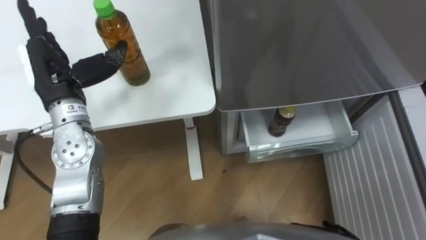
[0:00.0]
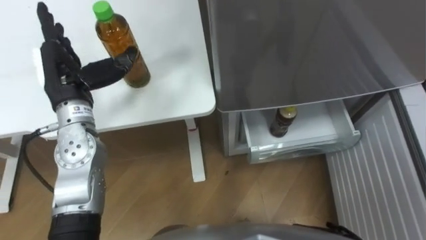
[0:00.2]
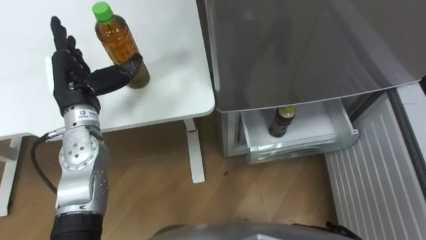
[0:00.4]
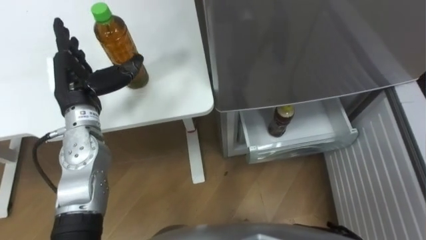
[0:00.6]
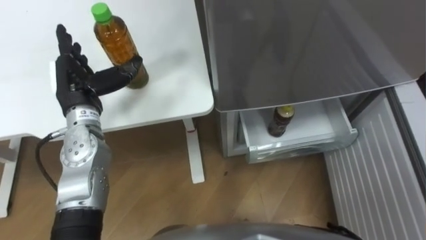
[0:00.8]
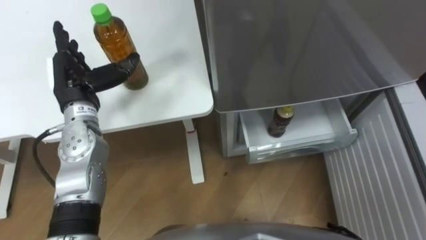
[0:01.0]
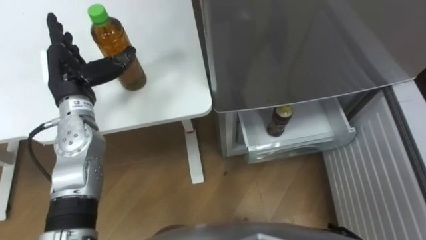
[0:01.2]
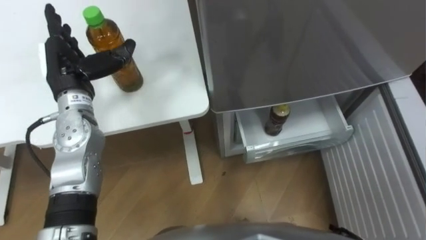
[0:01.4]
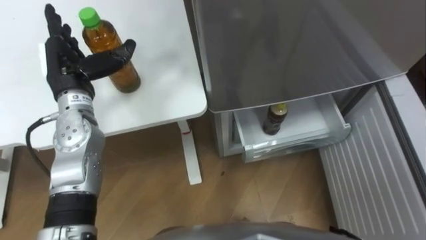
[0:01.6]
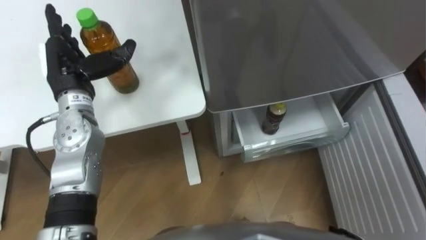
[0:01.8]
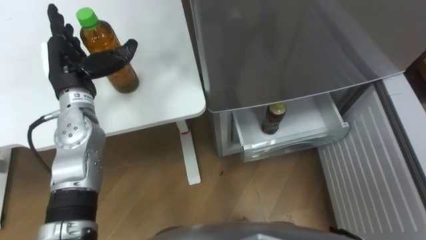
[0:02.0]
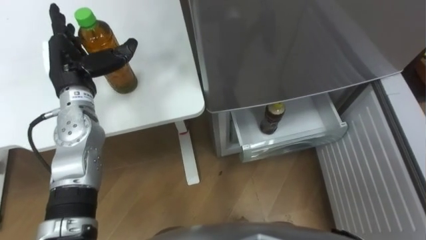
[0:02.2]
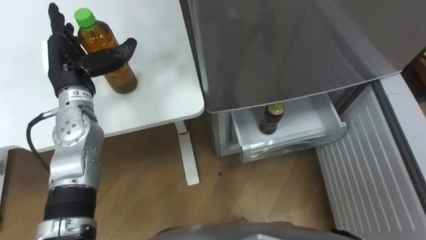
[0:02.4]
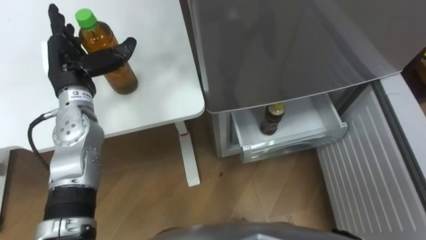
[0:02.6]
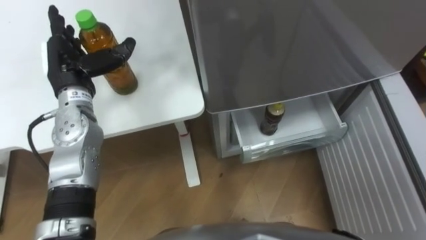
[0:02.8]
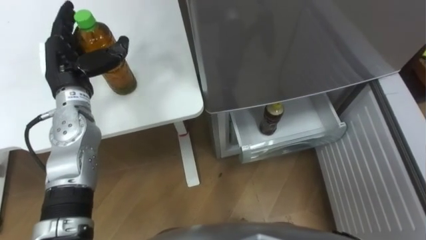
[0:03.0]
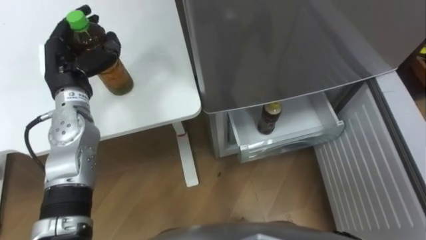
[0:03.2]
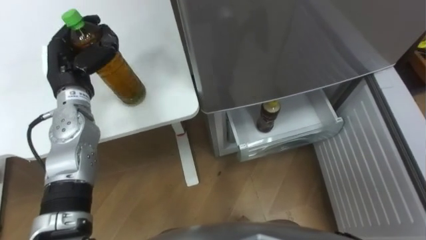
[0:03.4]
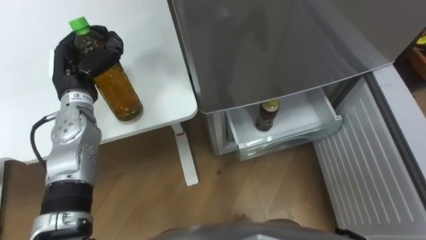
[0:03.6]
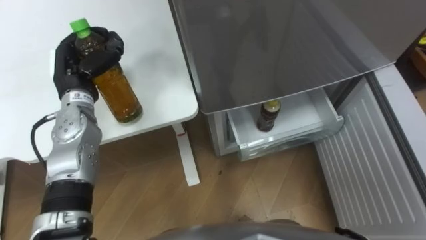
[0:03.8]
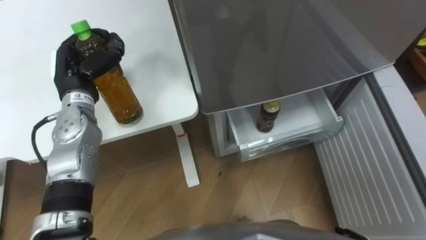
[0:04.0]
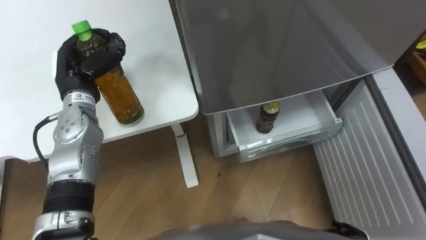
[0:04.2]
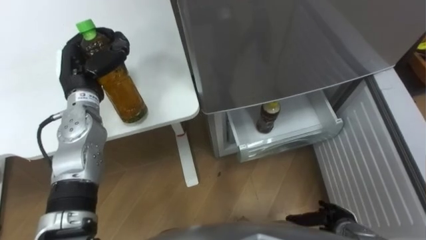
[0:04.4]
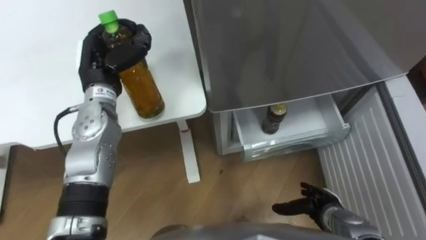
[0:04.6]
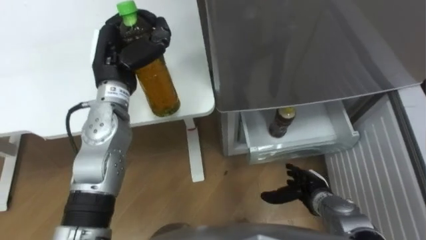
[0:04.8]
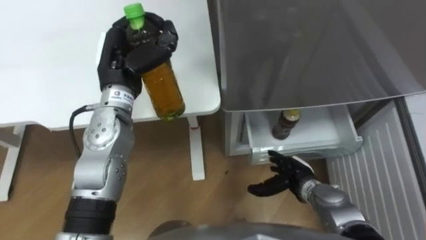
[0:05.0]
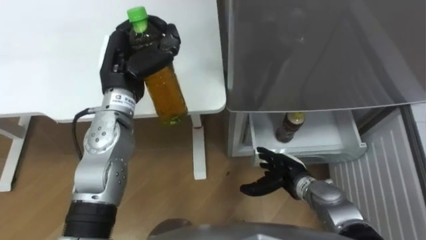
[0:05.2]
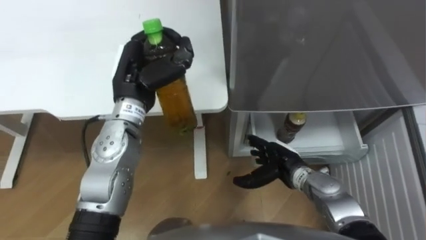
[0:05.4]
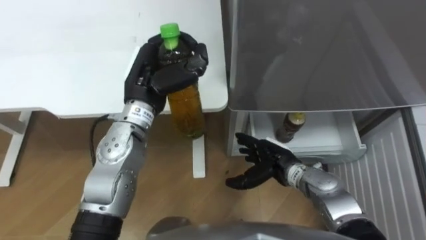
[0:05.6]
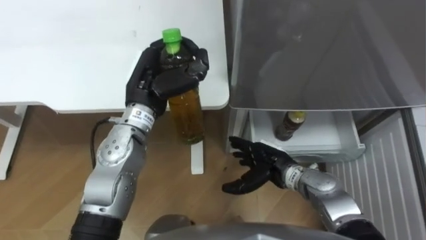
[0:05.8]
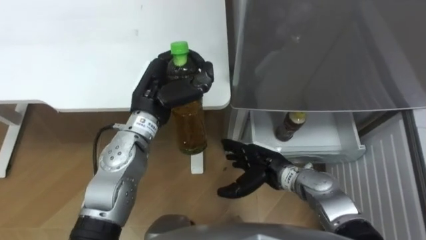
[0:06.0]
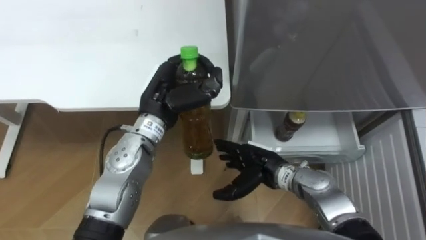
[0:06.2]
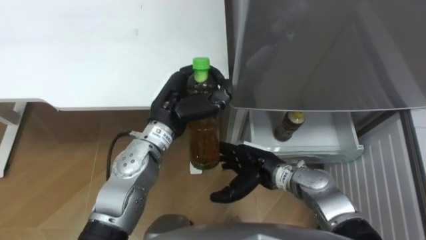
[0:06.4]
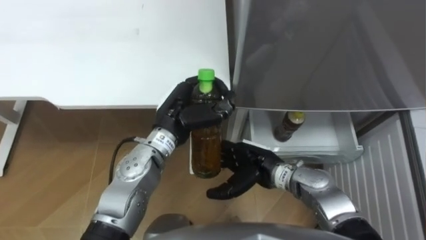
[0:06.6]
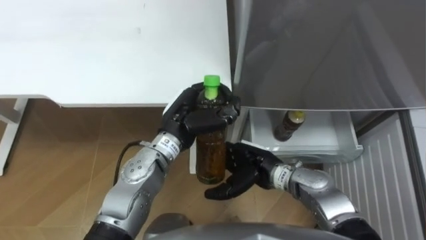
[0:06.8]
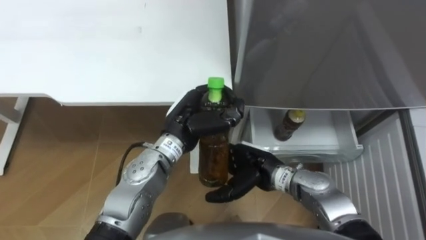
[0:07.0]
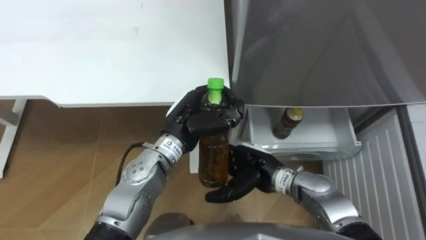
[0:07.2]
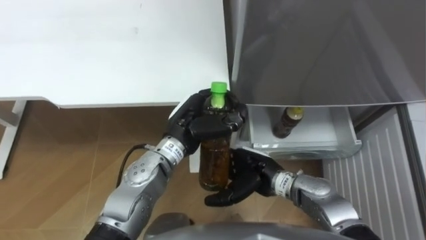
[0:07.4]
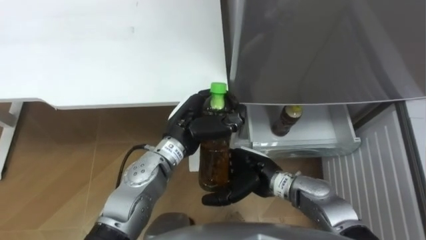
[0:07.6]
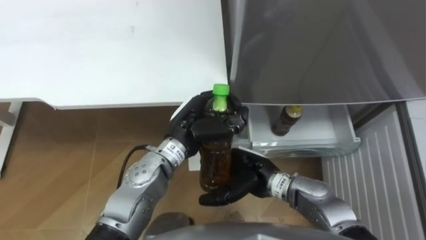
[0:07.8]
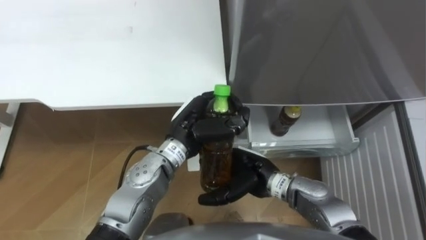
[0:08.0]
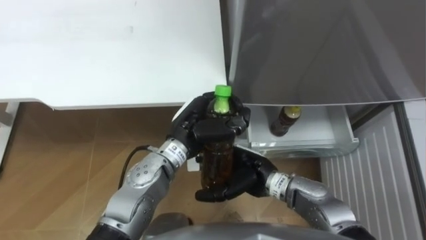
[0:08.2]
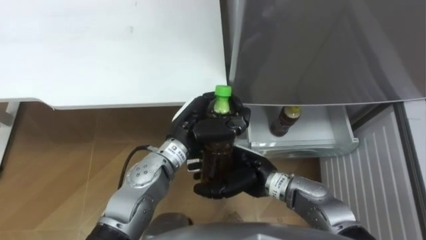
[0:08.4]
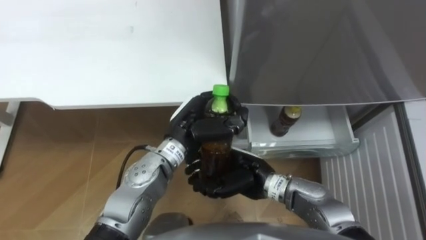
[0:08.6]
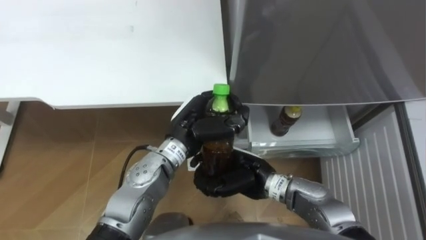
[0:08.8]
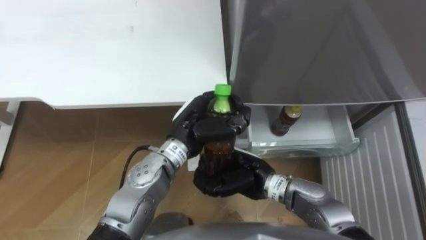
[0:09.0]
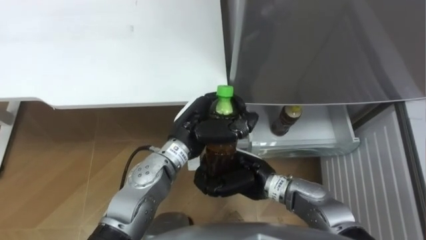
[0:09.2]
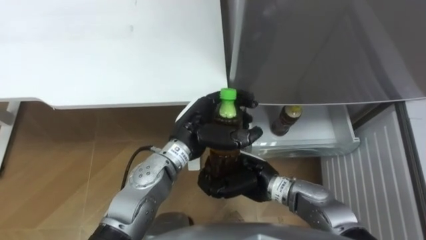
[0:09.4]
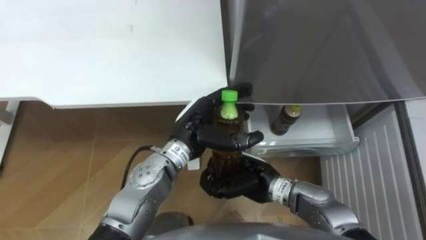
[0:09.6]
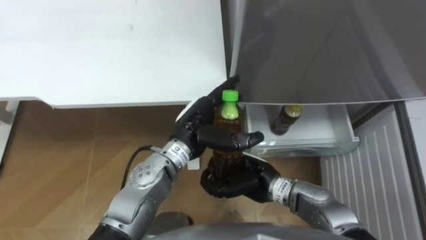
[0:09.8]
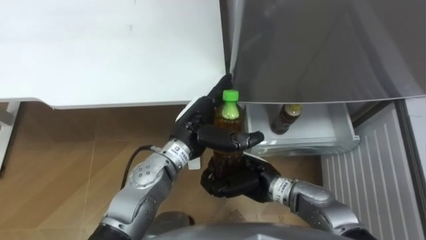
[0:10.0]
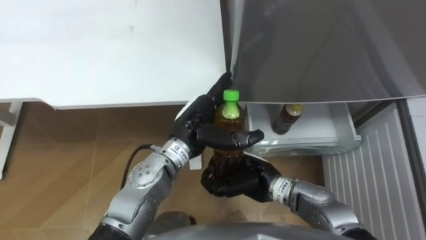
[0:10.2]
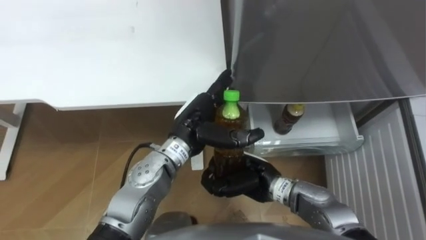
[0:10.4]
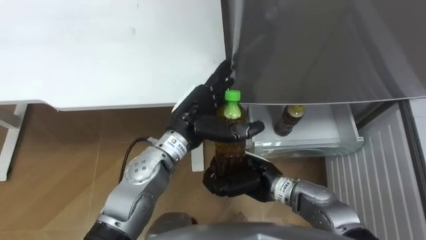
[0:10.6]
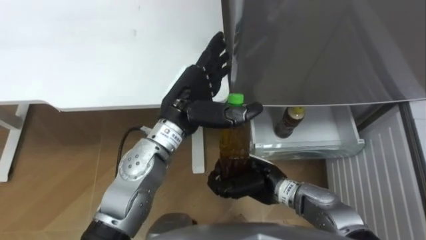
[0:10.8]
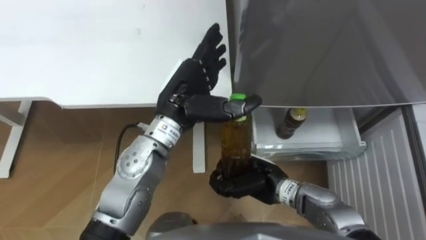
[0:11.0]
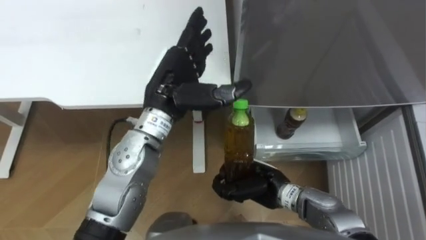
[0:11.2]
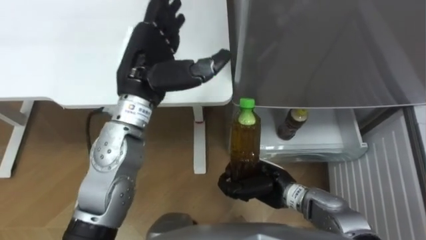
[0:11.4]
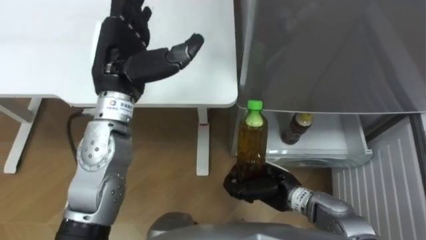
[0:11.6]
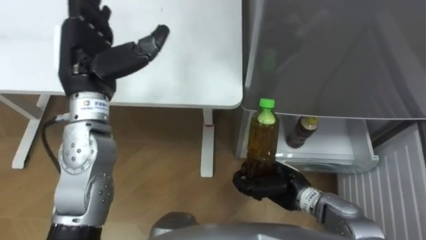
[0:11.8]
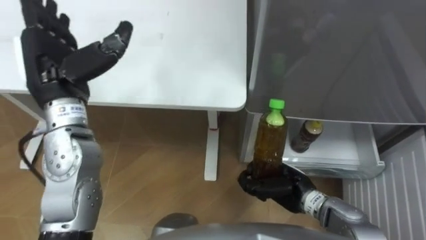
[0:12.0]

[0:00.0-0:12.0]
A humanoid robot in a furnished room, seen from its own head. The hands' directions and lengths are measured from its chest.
Task of the whole recording: Place the drink on the table on the bottom shelf of the refrigerator, then close the drawer and the refrigerator door.
0:03.0 to 0:04.4: The left hand closes.
0:04.4 to 0:06.0: The right hand heads to the left, forward and upward, covering roughly 20 cm, while the left hand is displaced to the right by about 15 cm.
0:06.0 to 0:07.6: The left hand is displaced to the right by about 5 cm.
0:07.6 to 0:09.0: The right hand closes.
0:09.0 to 0:10.4: The left hand opens up.
0:10.4 to 0:12.0: The right hand travels to the right by approximately 10 cm. The left hand goes about 25 cm to the left and upward.

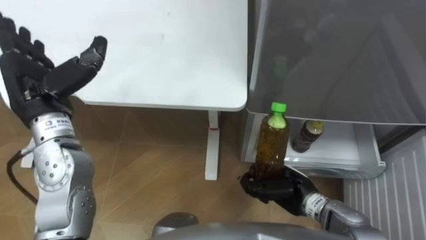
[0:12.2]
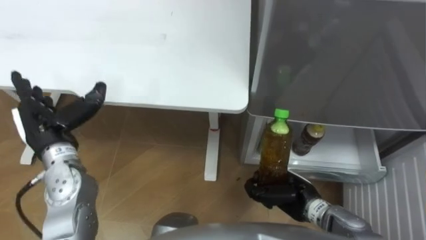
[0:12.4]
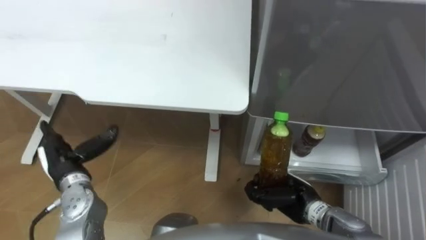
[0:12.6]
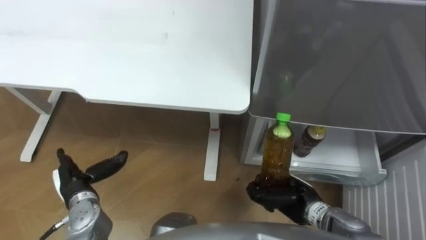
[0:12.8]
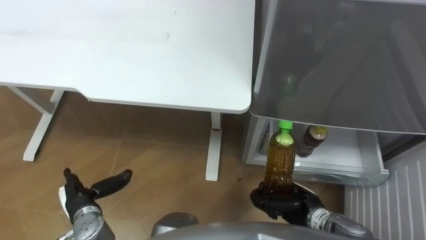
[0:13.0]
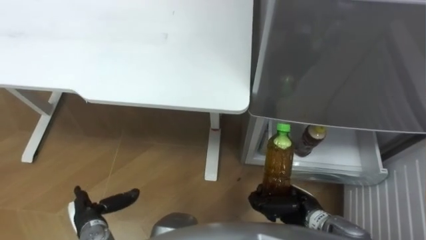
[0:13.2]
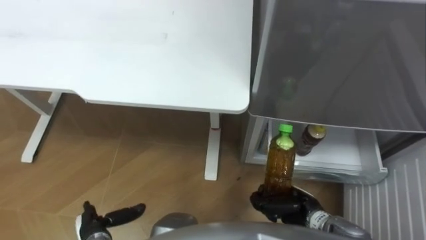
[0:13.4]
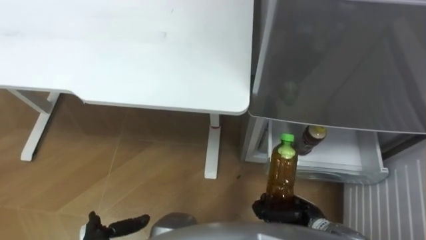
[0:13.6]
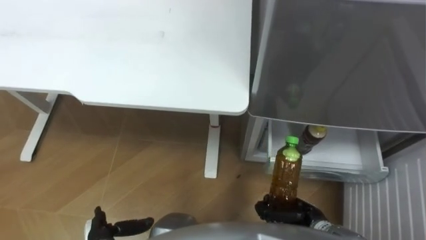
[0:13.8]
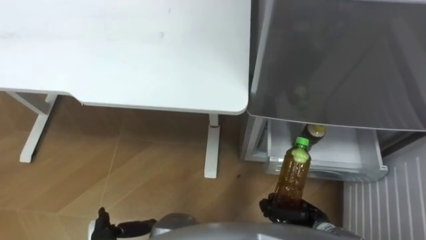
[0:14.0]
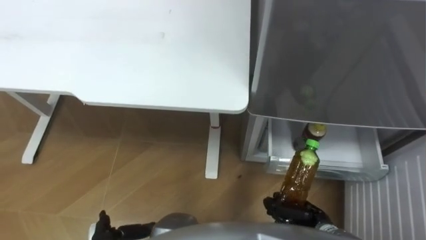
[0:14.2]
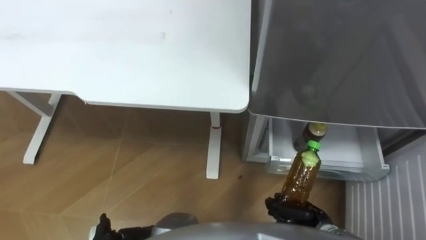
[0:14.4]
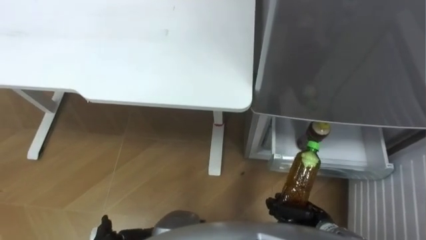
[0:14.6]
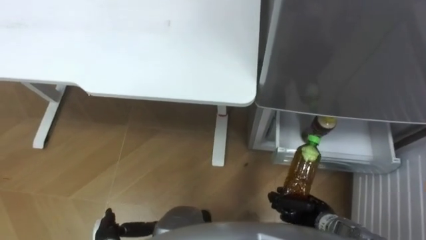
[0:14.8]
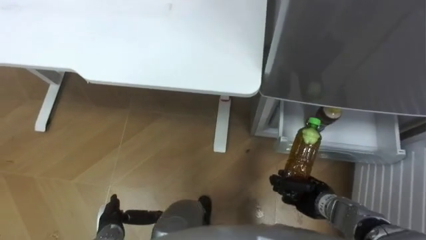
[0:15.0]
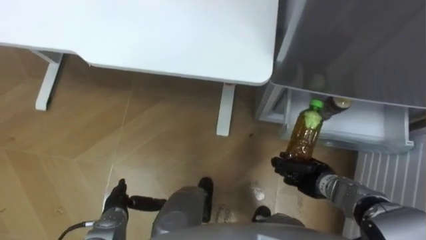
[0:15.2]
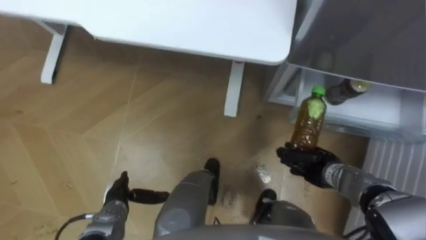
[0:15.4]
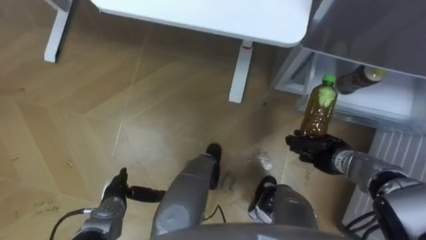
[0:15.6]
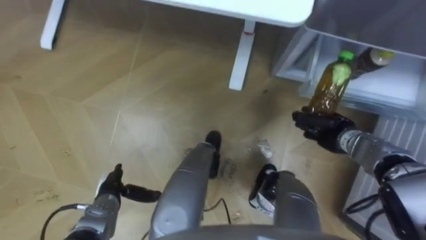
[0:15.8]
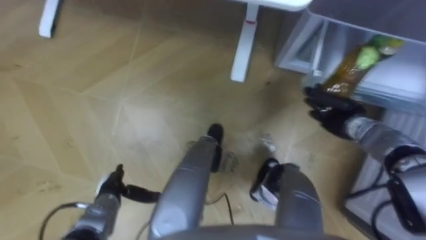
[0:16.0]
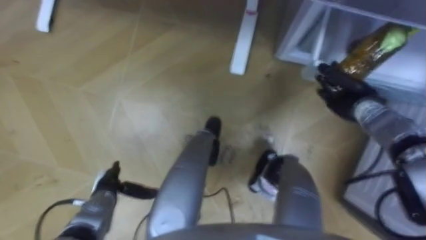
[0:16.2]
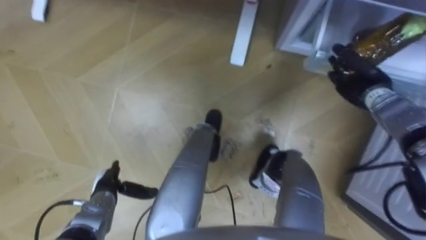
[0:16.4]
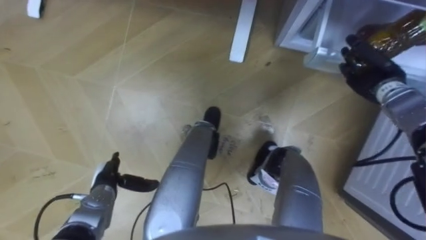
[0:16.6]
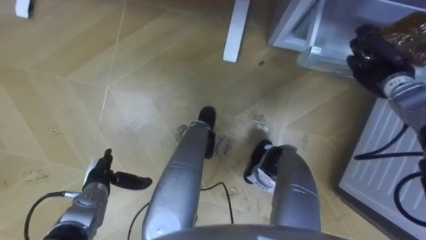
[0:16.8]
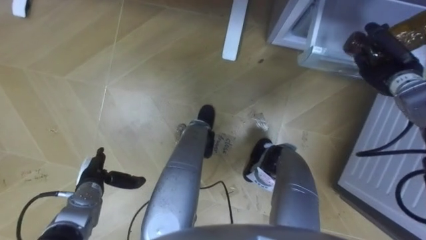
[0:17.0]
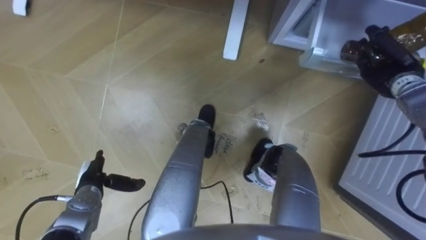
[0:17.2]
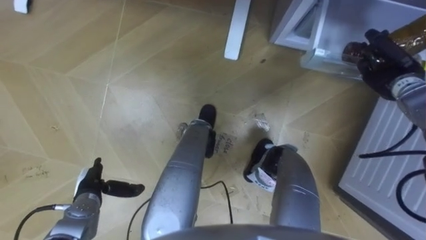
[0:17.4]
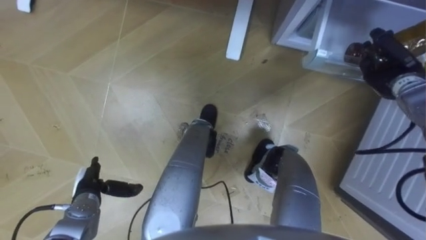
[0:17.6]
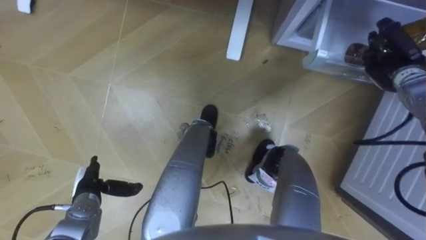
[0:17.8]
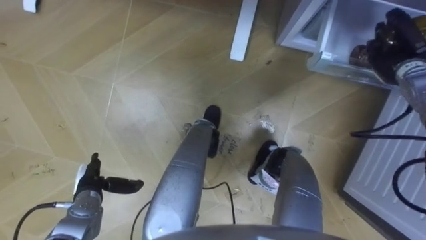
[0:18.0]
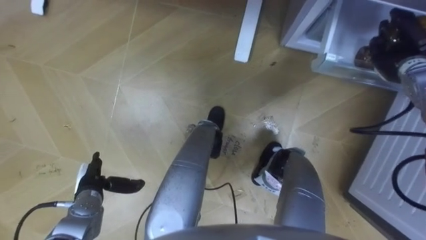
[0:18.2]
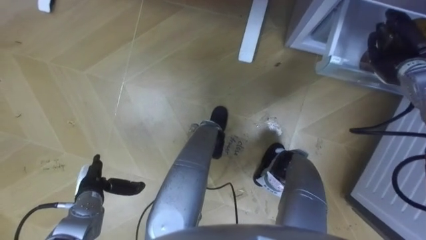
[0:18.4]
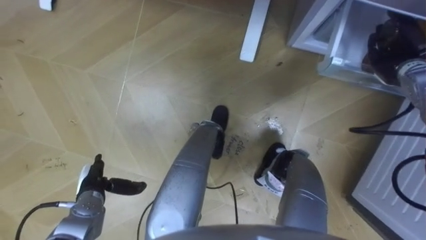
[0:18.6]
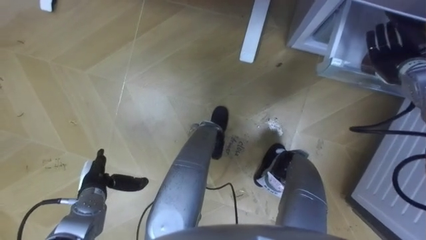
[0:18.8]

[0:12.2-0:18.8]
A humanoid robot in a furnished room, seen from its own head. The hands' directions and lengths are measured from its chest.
Task of the whole recording: Place the drink on the table on the bottom shelf of the refrigerator, then close the drawer and the refrigerator door.
0:12.2 to 0:13.8: The right hand heads backward and downward, covering approximately 10 cm.
0:13.8 to 0:15.4: The right hand heads forward, covering some 10 cm.
0:15.4 to 0:17.2: The right hand heads upward, forward and to the right, covering roughly 25 cm. Meanwhile the left hand shifts about 5 cm to the left.
0:17.2 to 0:18.8: The right hand opens.
